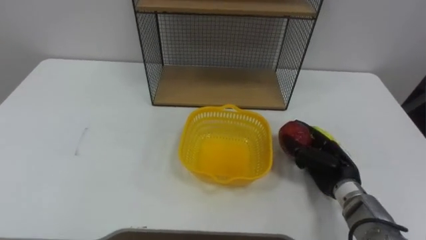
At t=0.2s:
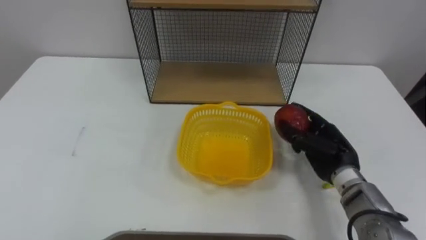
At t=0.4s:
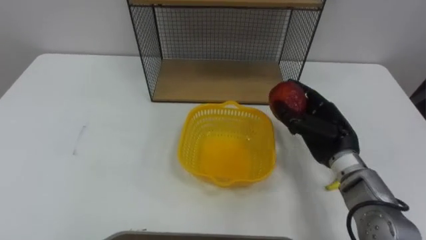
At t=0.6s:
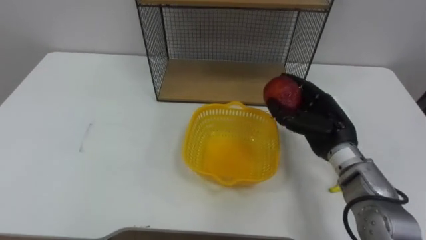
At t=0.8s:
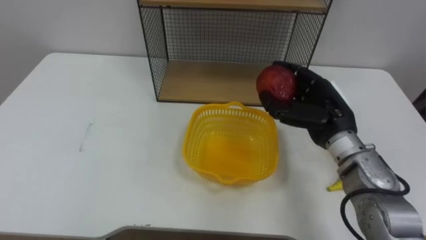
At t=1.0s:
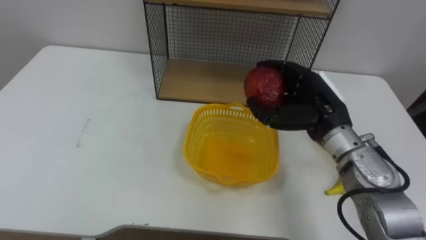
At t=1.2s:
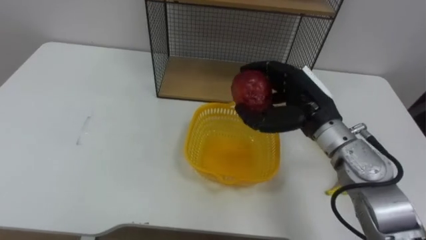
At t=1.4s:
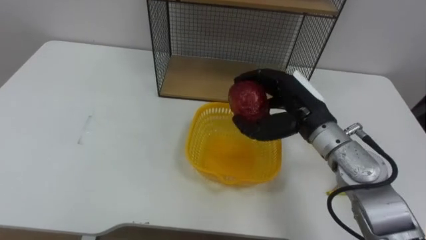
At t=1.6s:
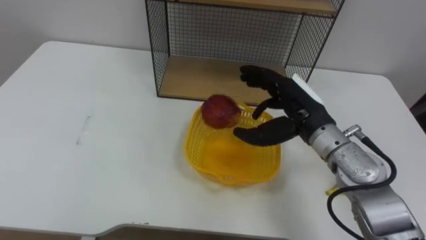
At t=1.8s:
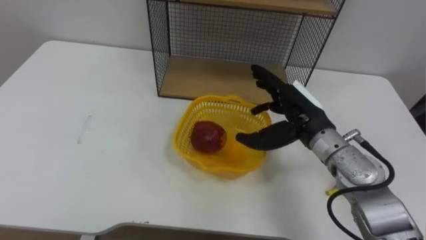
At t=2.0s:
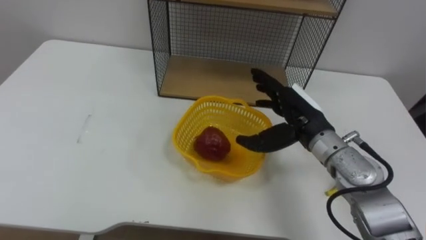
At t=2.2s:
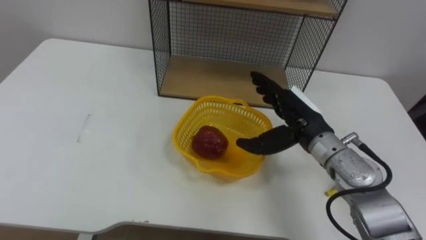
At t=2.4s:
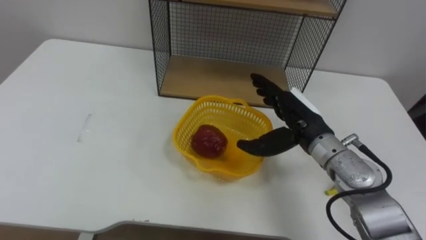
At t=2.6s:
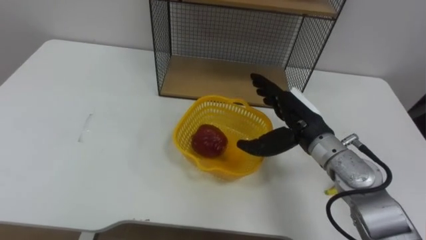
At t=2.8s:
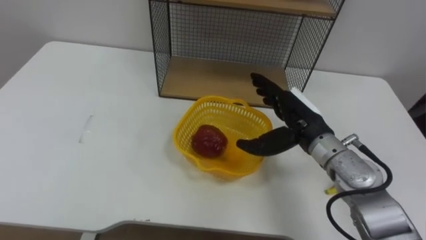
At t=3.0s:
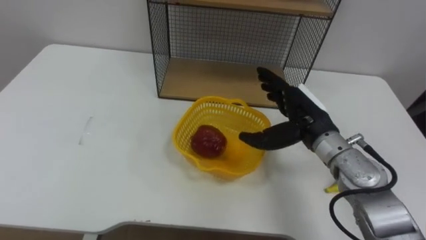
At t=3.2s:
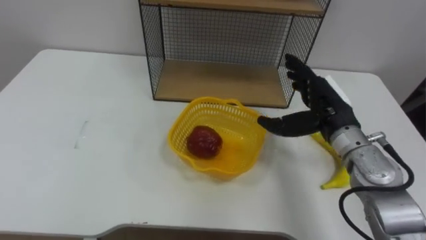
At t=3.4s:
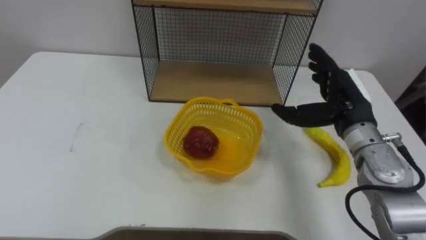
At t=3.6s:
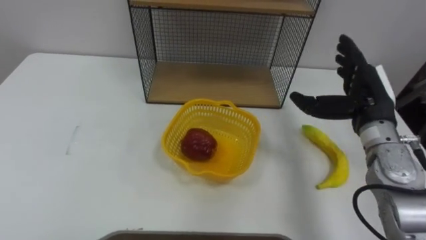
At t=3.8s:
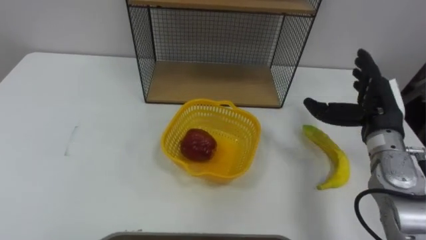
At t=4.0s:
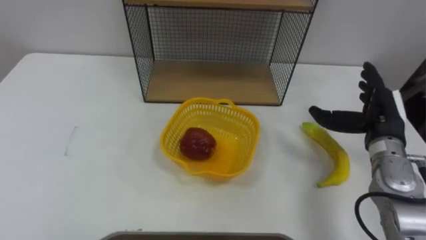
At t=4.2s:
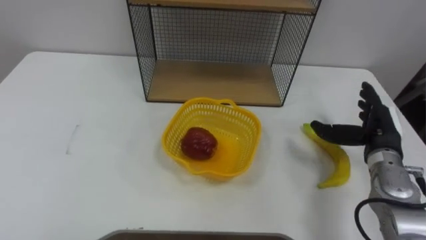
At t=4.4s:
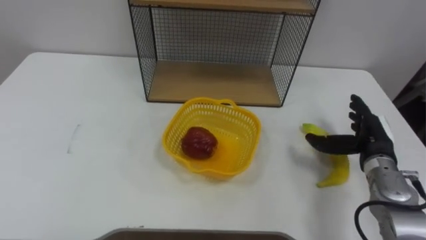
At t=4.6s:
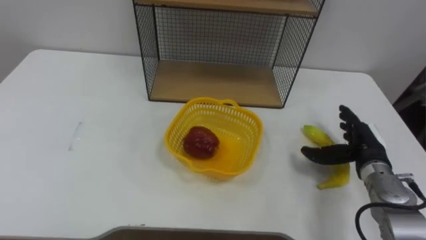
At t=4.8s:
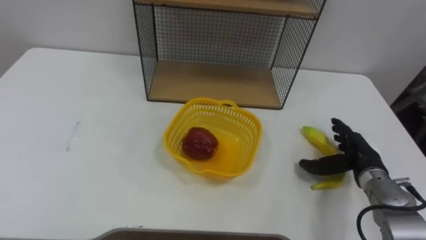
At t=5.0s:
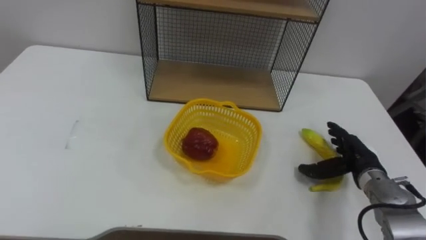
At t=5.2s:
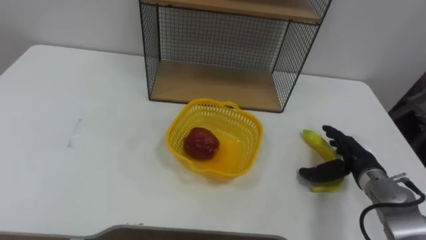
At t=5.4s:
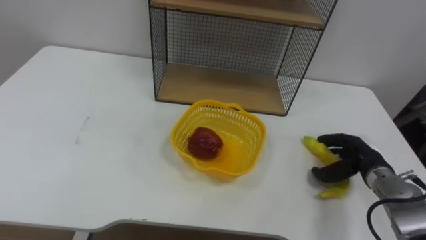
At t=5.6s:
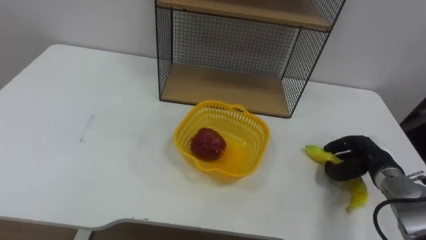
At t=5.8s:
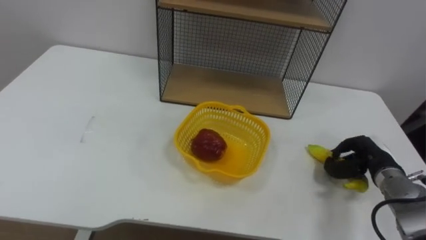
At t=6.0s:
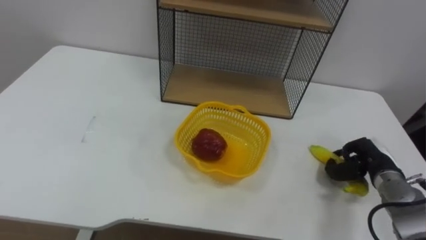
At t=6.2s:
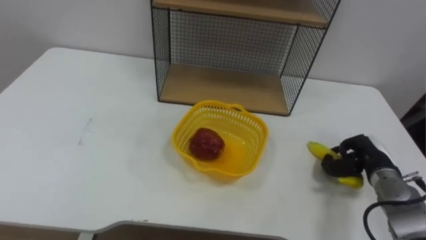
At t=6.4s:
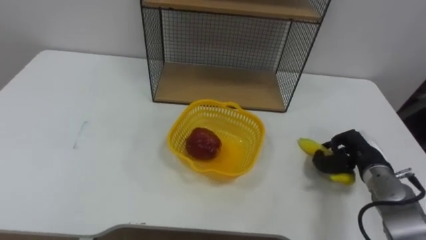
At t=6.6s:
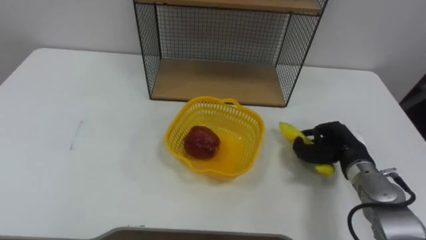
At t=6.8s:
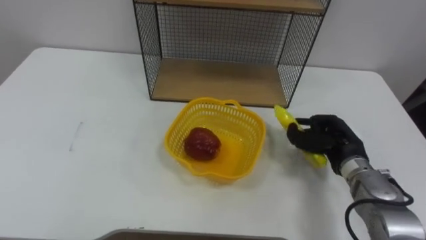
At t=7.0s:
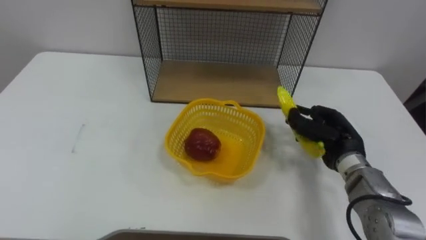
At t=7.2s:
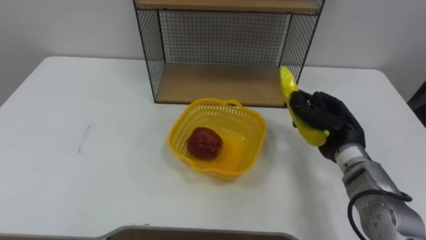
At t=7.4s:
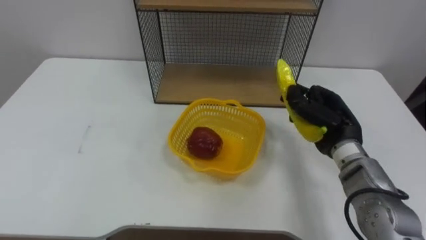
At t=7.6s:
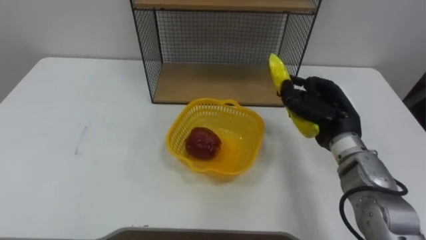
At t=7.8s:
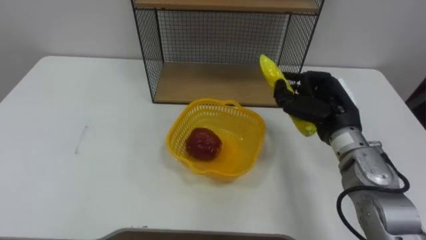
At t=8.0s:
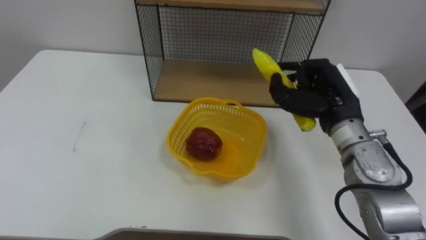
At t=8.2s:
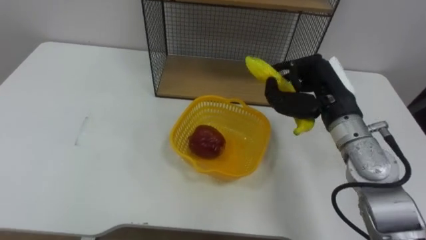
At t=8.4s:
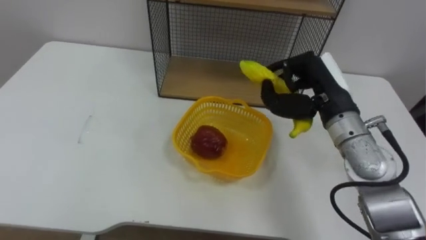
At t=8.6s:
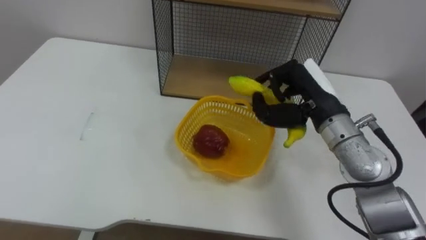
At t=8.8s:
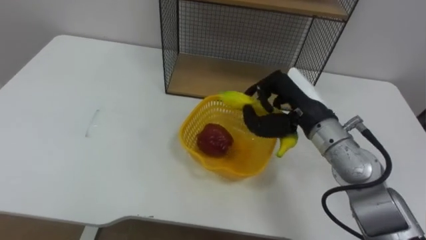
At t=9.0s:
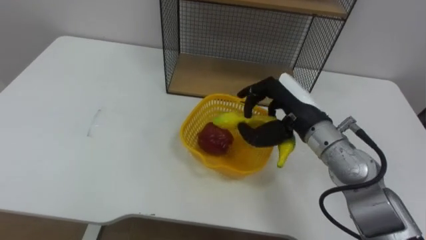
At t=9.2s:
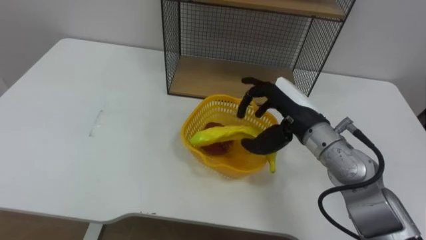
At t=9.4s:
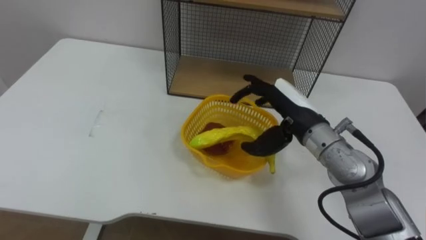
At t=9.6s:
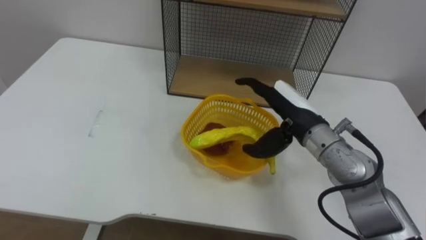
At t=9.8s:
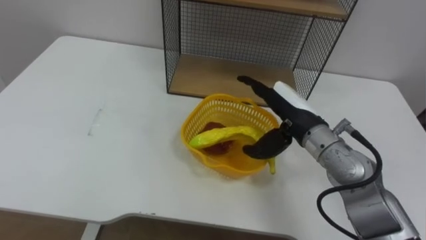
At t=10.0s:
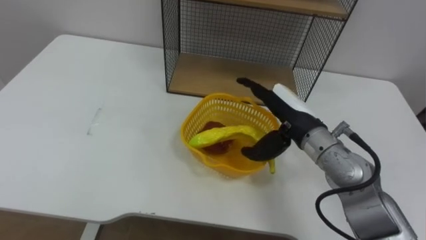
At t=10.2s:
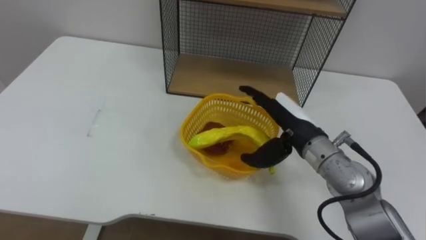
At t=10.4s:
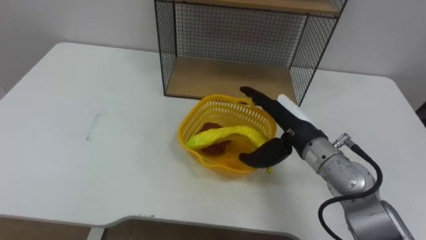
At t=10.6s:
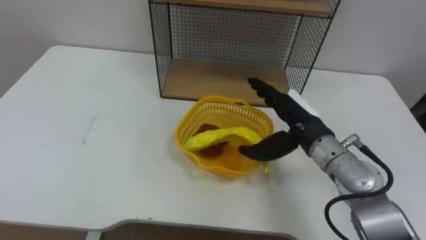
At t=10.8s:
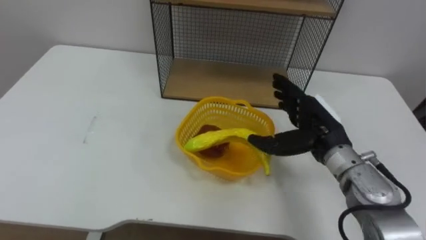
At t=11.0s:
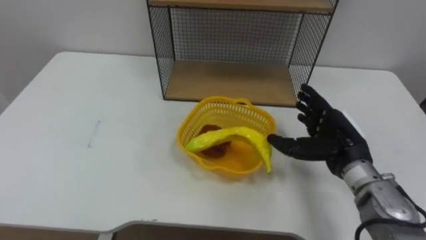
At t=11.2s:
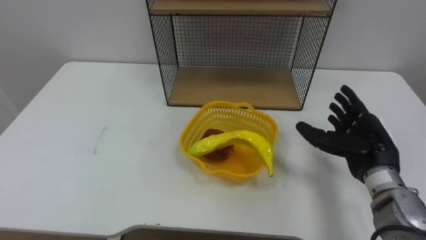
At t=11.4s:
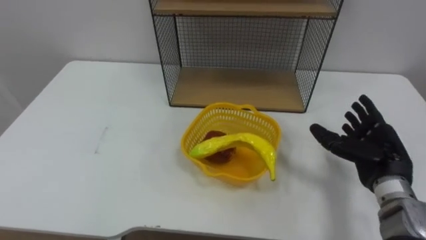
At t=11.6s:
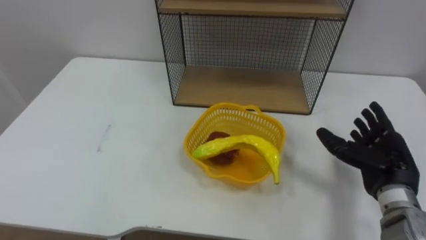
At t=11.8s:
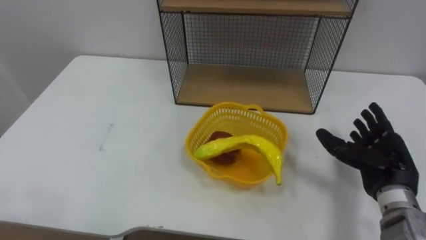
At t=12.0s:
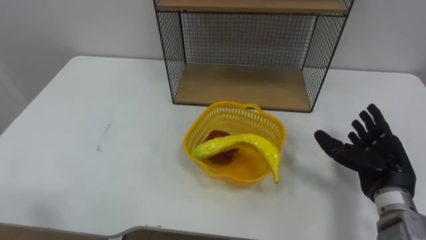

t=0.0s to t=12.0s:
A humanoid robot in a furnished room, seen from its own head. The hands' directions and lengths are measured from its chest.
Task of the whole recording: Put the fruit on the table into the basket, then place the basket on the shelf.
t=0.0s to t=1.6s: The right hand is displaced upward and to the left by about 15 cm.
t=3.0s to t=4.4s: The right hand shifts approximately 15 cm to the right and downward.
t=4.4s to t=6.0s: The right hand is displaced downward by about 5 cm, and closes.
t=6.0s to t=7.6s: The right hand shifts about 15 cm upward and to the left.
t=7.6s to t=9.0s: The right hand goes some 5 cm to the left.
t=9.0s to t=10.4s: The right hand opens up.
t=10.4s to t=12.0s: The right hand goes about 15 cm to the right and backward.

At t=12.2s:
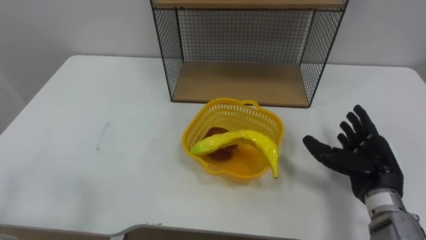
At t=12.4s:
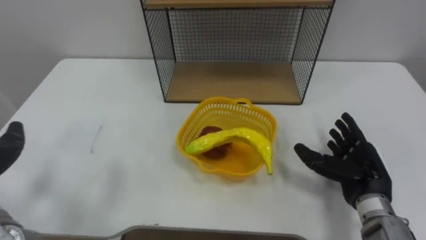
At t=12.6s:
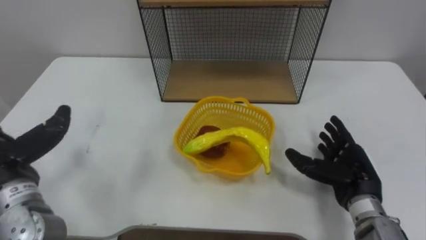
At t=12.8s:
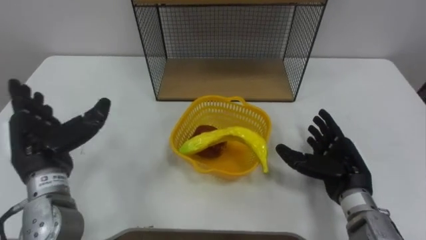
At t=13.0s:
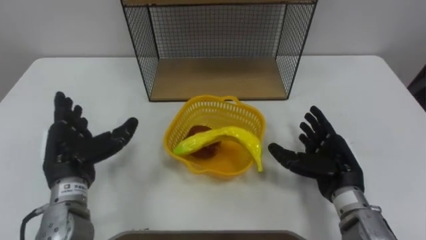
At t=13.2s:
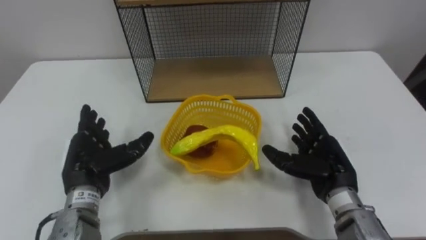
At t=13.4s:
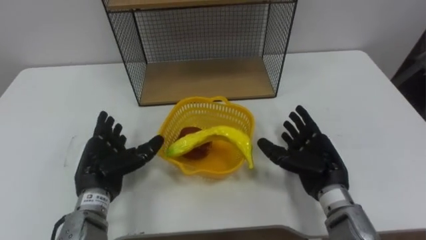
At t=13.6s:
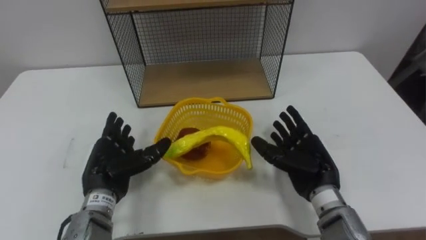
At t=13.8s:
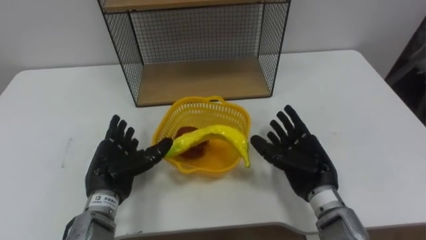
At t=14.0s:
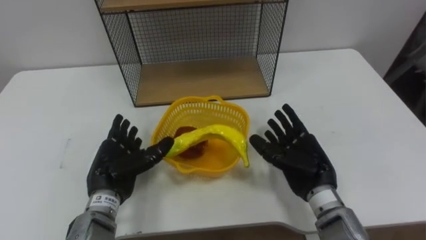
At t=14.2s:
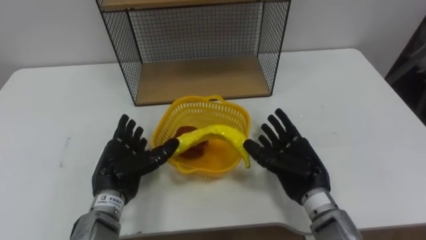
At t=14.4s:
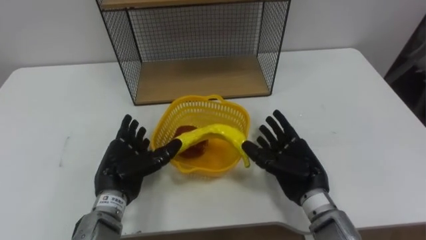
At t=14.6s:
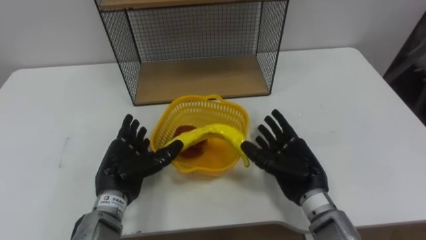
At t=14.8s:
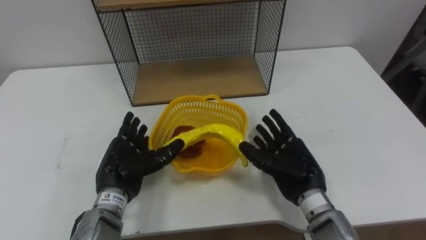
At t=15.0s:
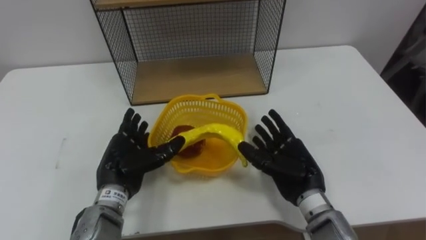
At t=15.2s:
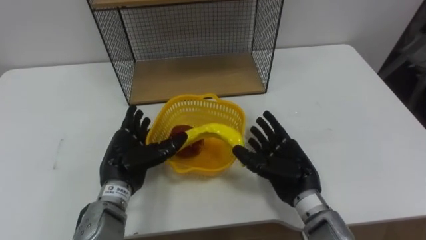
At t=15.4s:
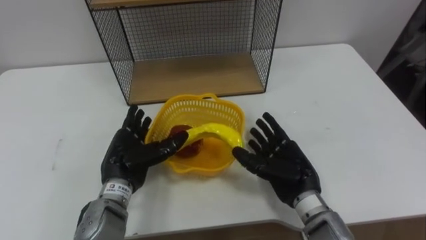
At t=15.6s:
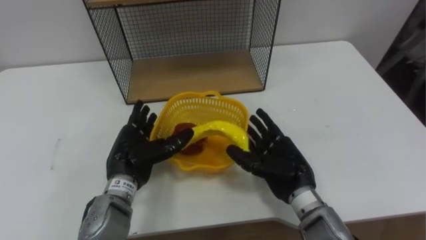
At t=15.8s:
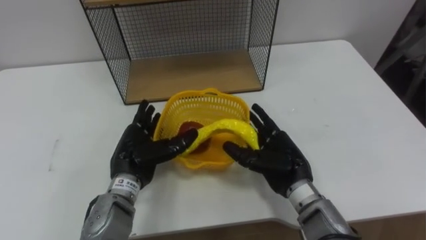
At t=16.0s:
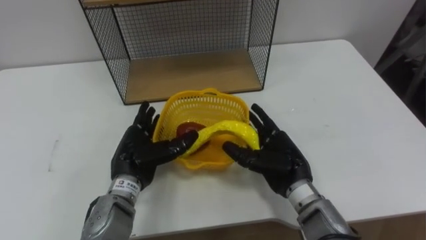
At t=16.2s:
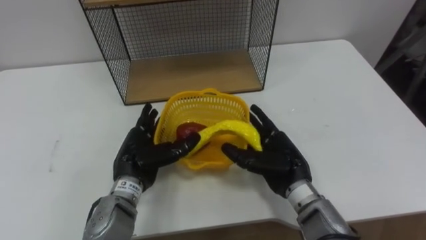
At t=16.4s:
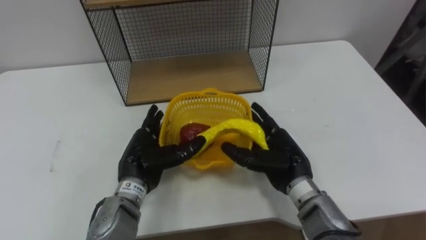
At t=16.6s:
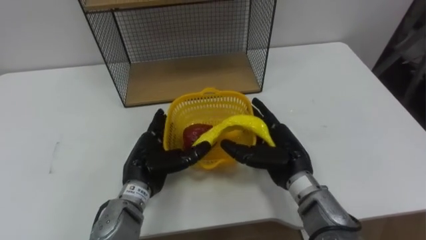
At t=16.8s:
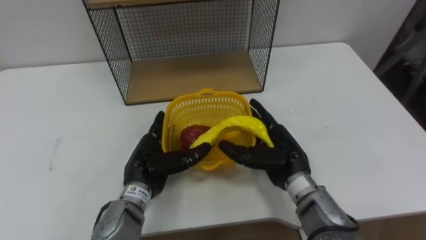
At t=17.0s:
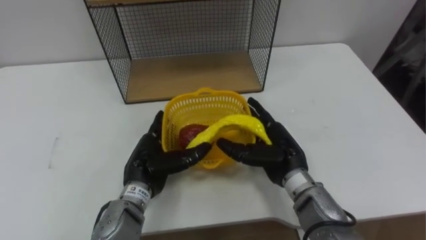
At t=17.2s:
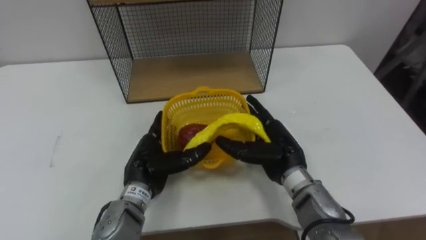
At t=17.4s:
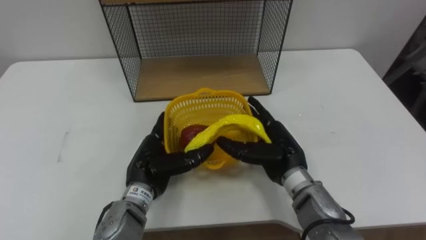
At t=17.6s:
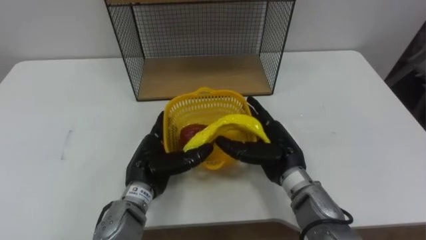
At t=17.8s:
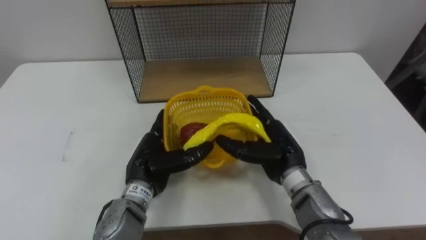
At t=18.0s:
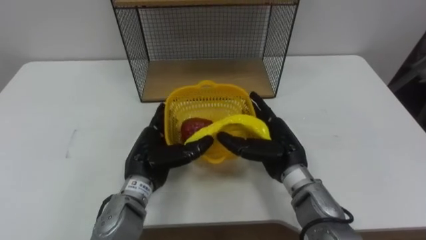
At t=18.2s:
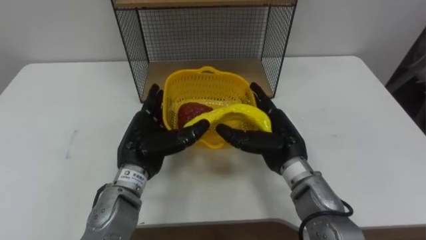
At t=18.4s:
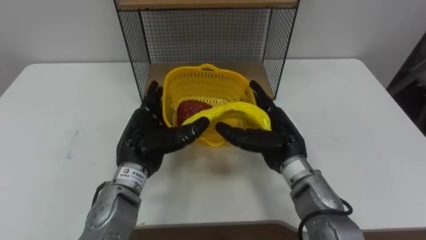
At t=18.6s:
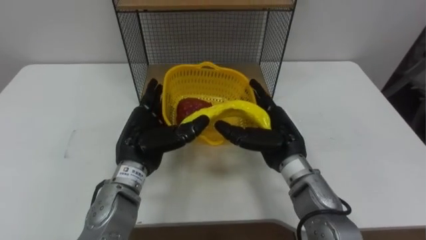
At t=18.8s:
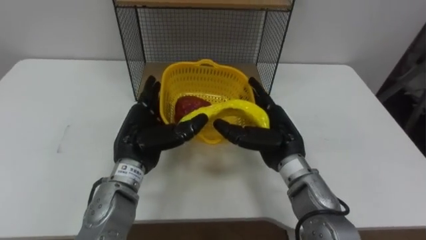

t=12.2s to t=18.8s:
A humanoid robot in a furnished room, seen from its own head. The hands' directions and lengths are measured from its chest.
Task of the whole recording: Put the fruit on the table into the basket, then place the basket on the shelf.
t=12.2s to t=13.8s: The right hand shifts approximately 10 cm to the left.
t=15.4s to t=17.2s: The right hand shifts by roughly 5 cm.
t=17.2s to t=18.8s: The left hand shifts some 5 cm upward.
